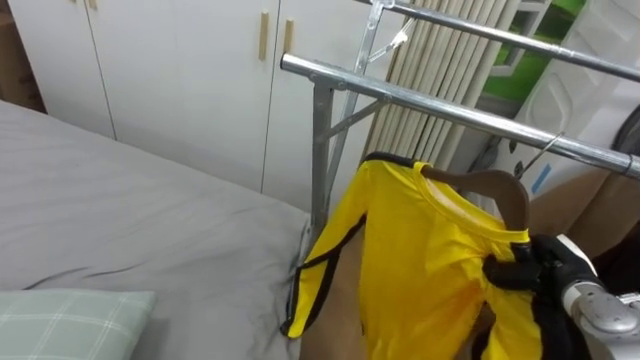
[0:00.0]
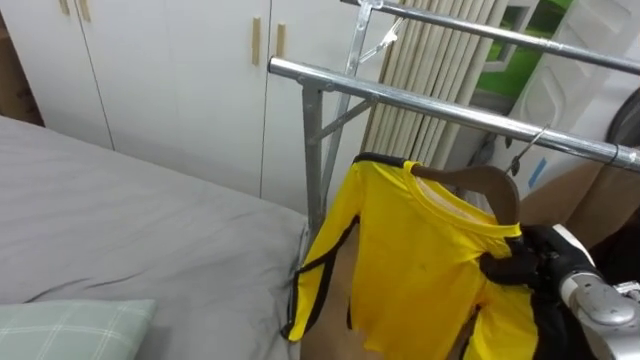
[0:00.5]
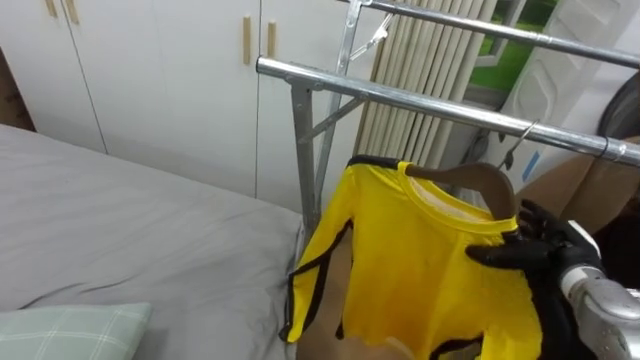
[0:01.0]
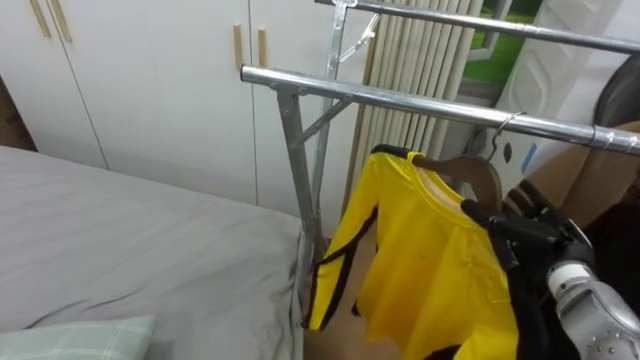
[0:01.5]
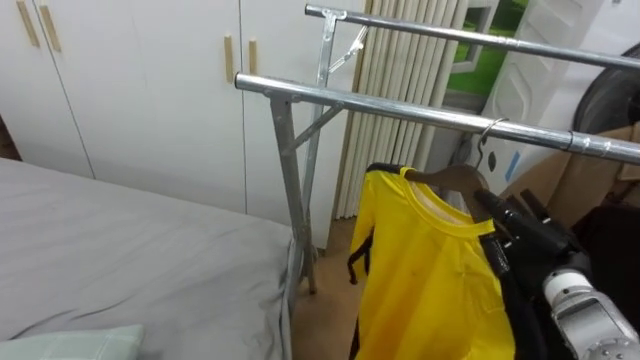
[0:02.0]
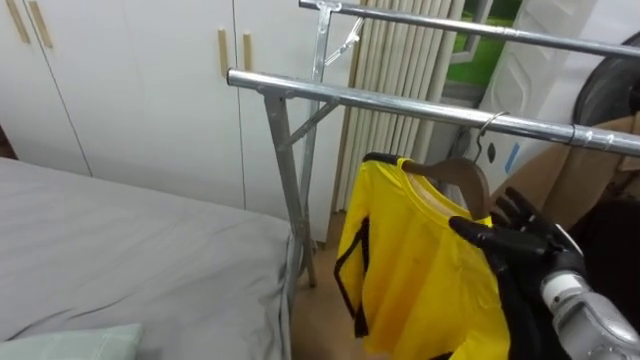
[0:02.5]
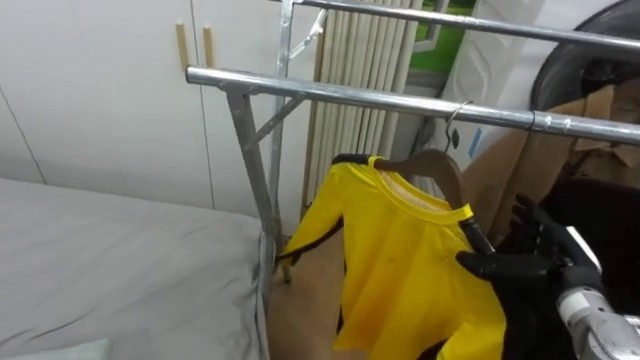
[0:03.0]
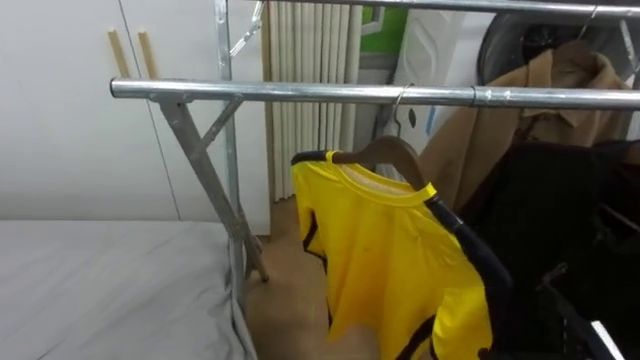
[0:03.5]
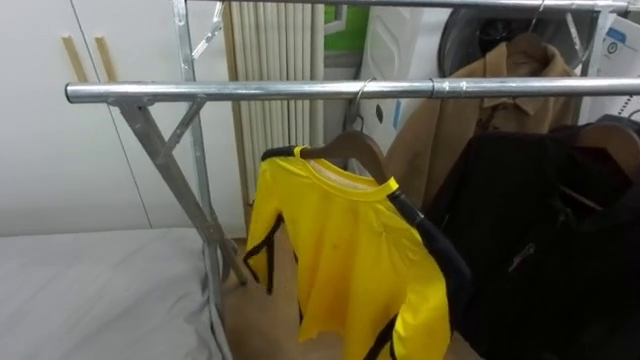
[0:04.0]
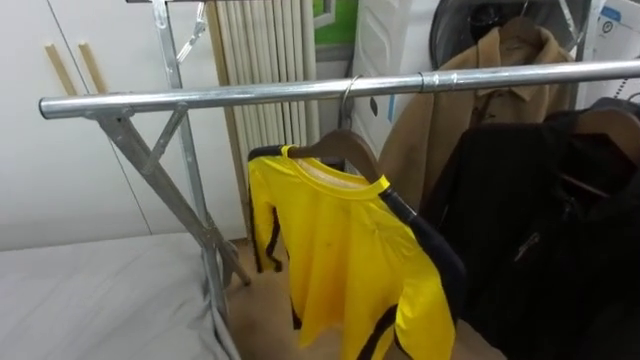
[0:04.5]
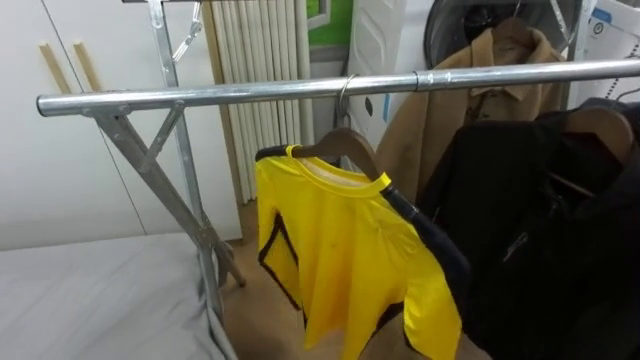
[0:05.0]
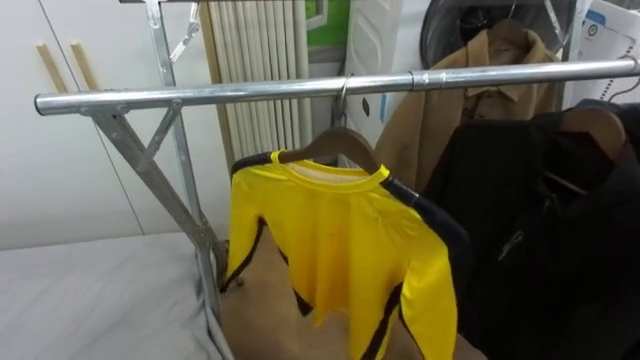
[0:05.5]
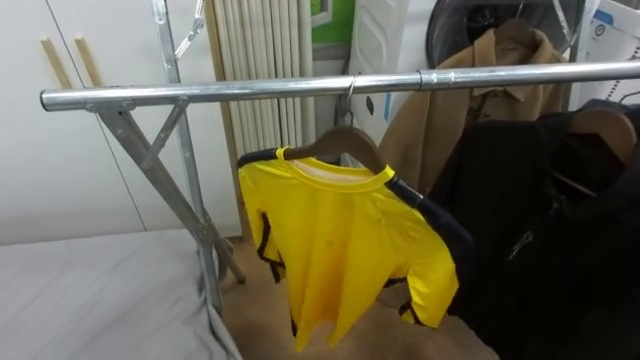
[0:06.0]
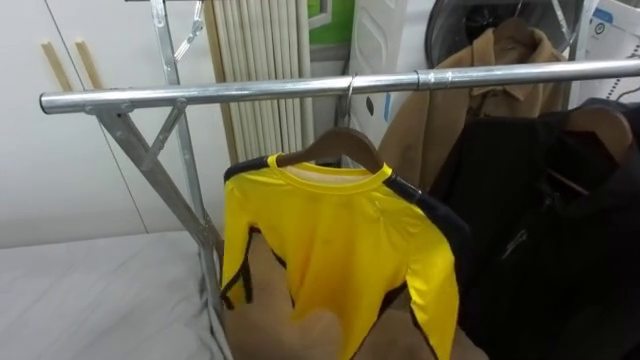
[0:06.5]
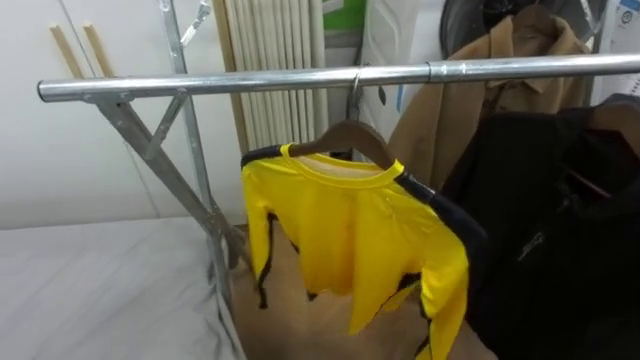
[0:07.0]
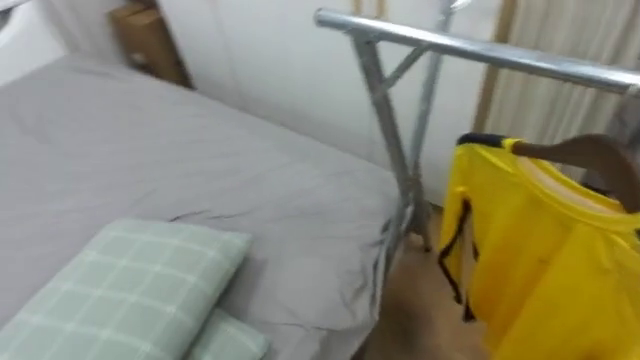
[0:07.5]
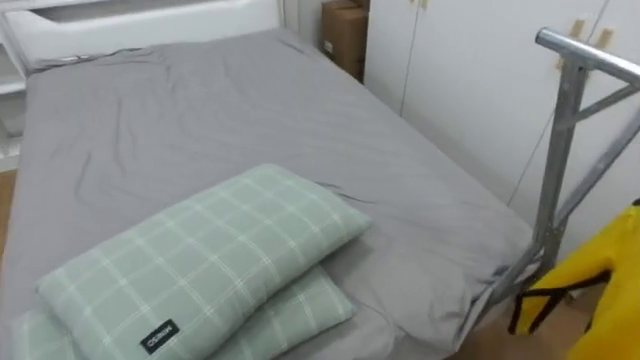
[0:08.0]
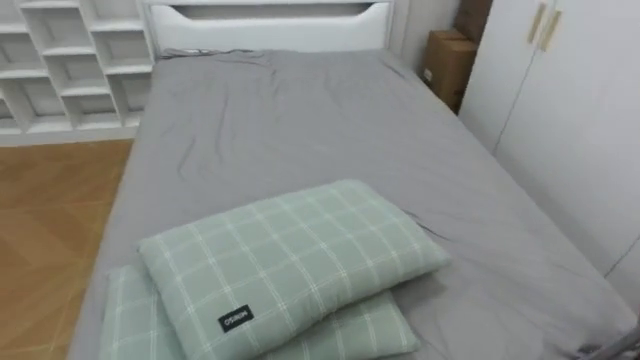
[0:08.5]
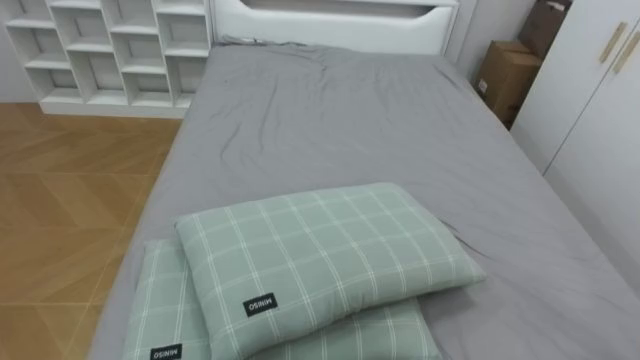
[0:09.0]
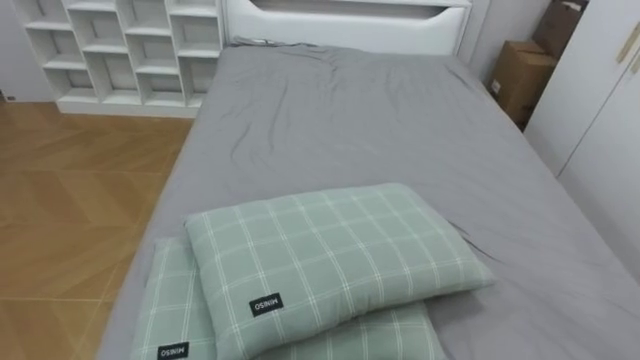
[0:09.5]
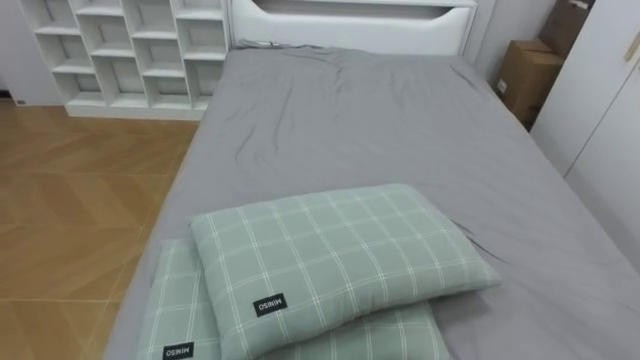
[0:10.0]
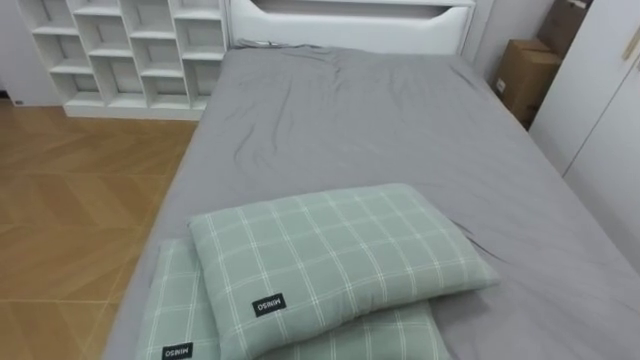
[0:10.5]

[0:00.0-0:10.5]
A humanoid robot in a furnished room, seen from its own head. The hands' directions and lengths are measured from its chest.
Task of the whole recording: Pick up the yellow shirt on the bed and hang it on the clothes rack on the right.
0:06.5 to 0:08.5: The robot faces approximately 85 degrees further to its left.

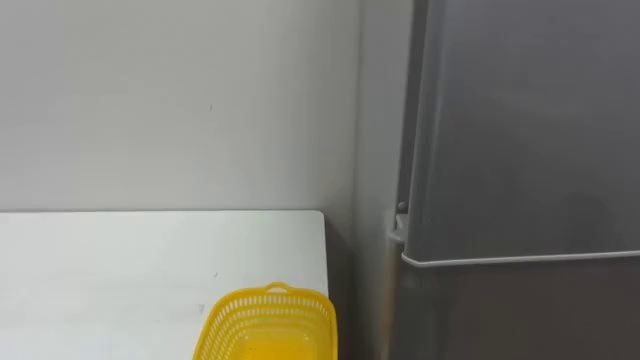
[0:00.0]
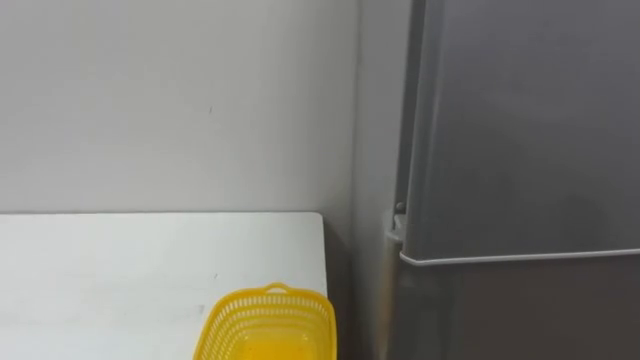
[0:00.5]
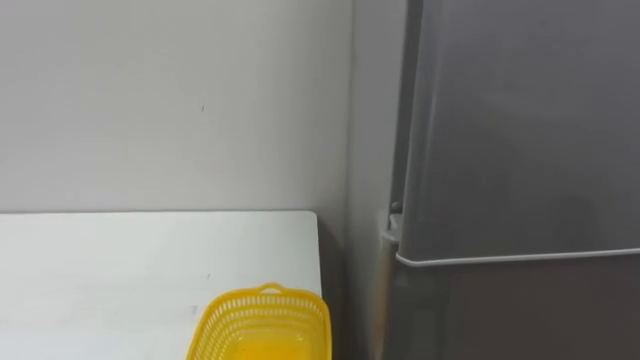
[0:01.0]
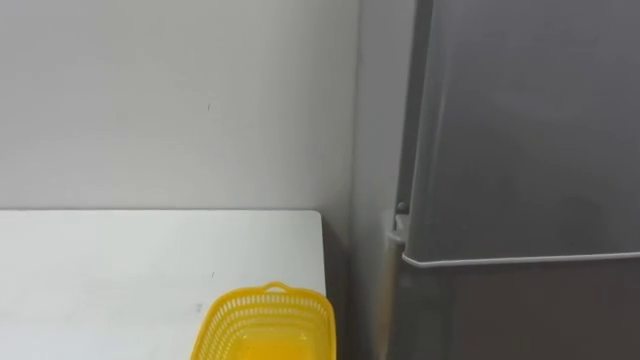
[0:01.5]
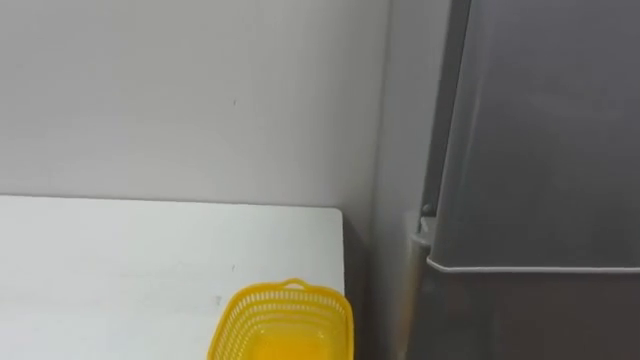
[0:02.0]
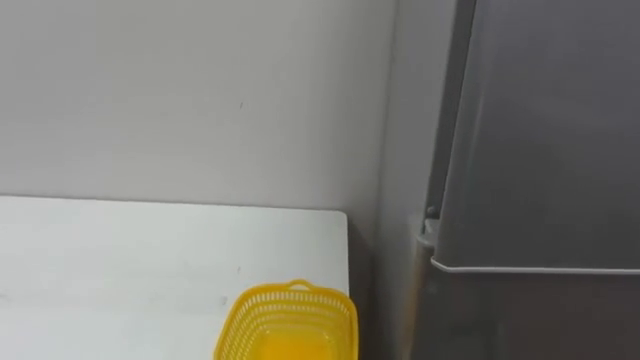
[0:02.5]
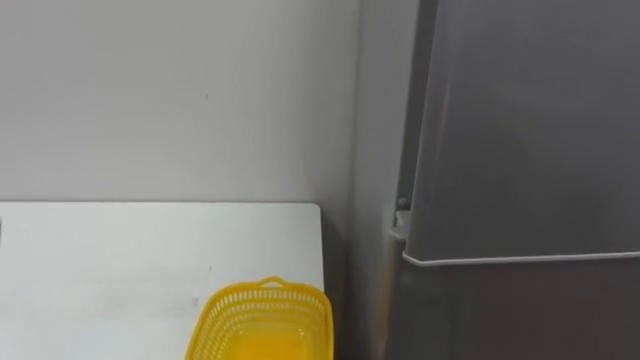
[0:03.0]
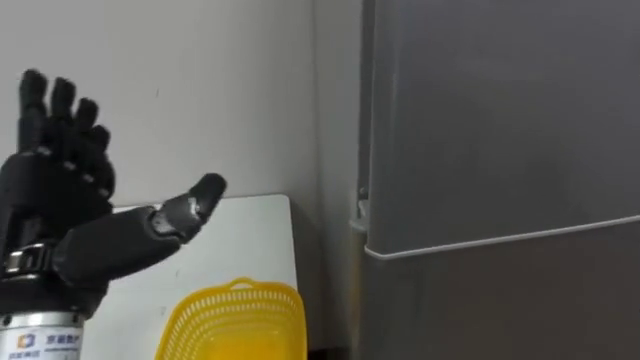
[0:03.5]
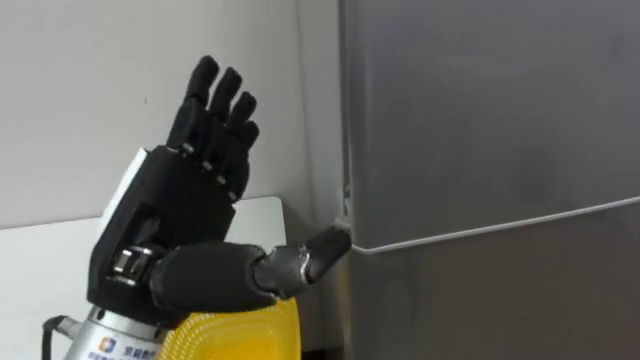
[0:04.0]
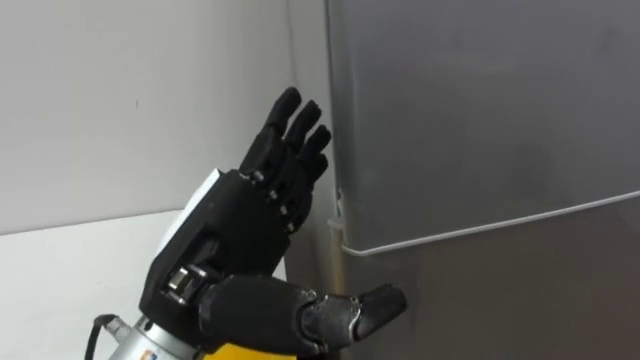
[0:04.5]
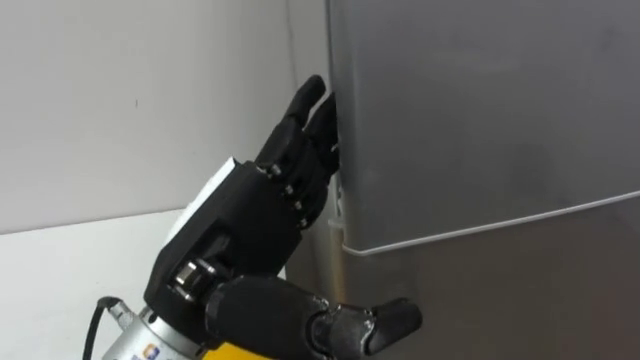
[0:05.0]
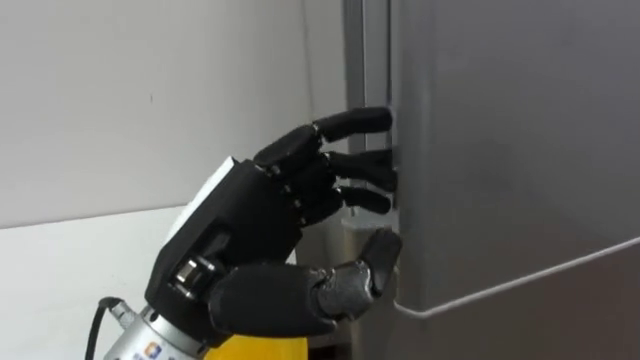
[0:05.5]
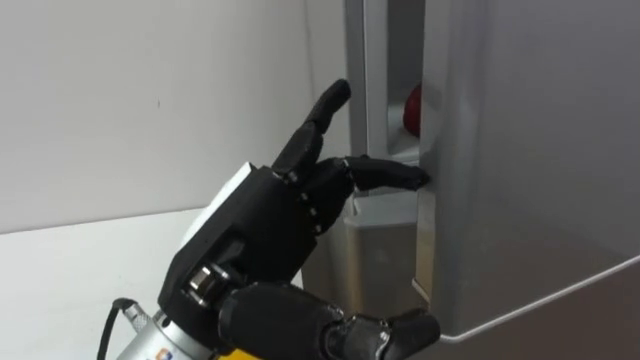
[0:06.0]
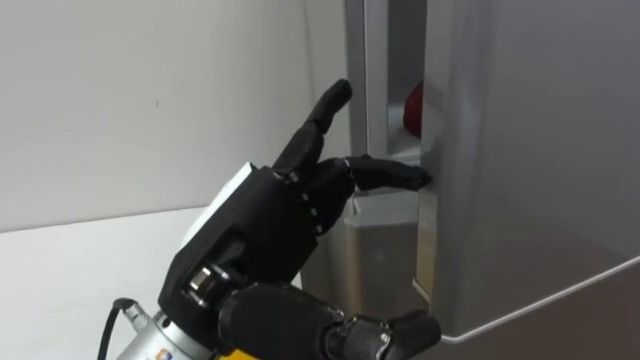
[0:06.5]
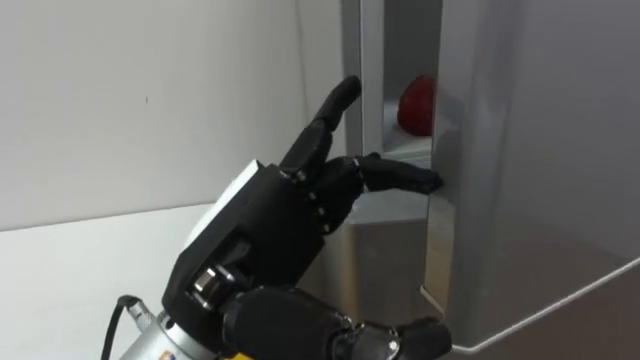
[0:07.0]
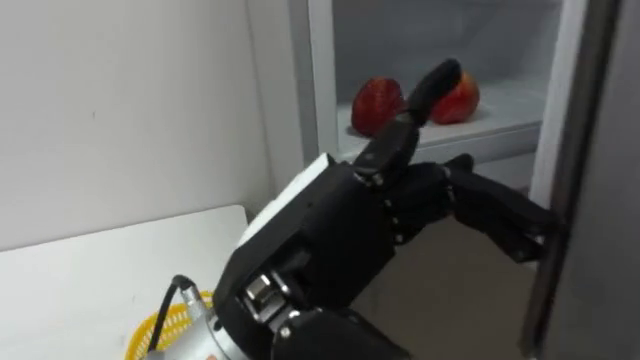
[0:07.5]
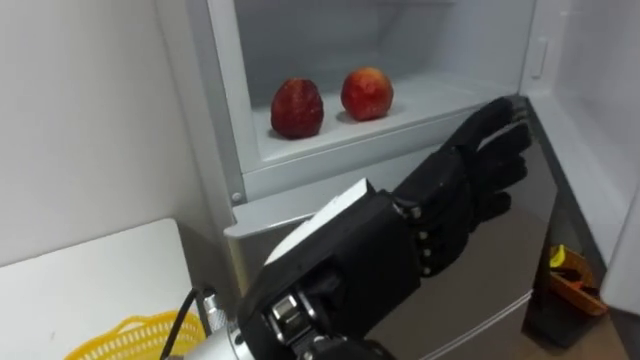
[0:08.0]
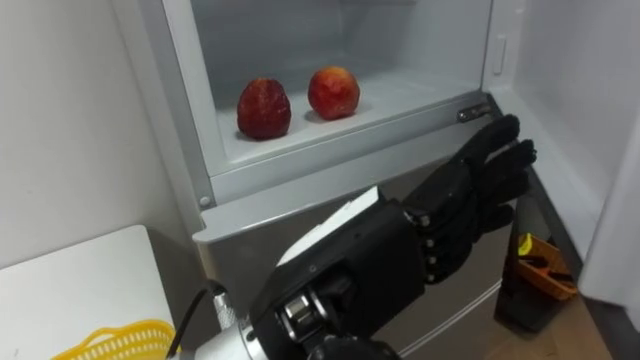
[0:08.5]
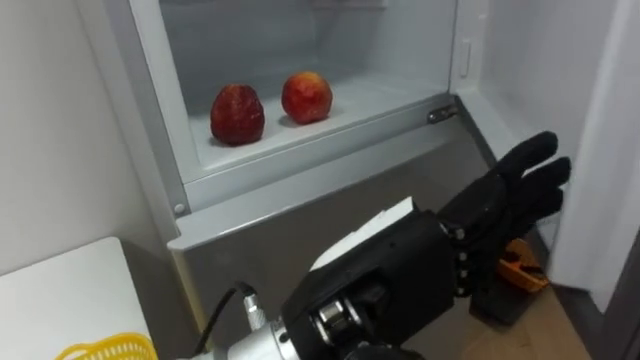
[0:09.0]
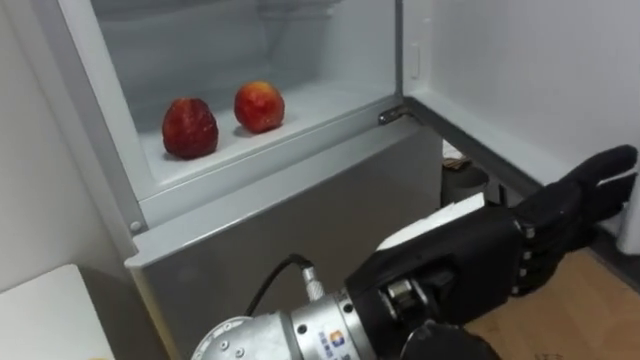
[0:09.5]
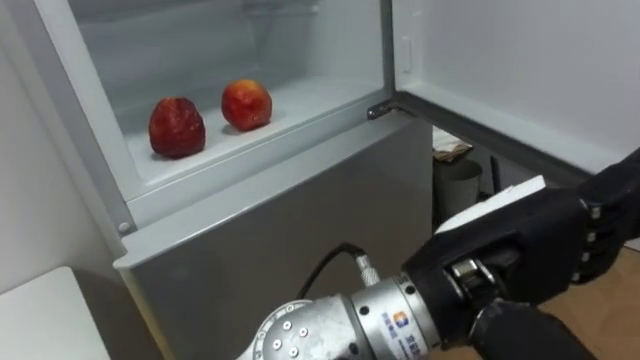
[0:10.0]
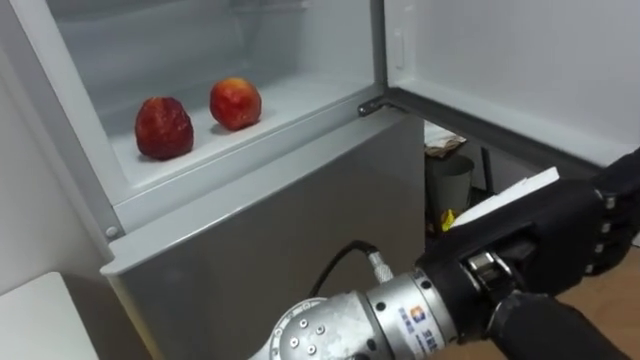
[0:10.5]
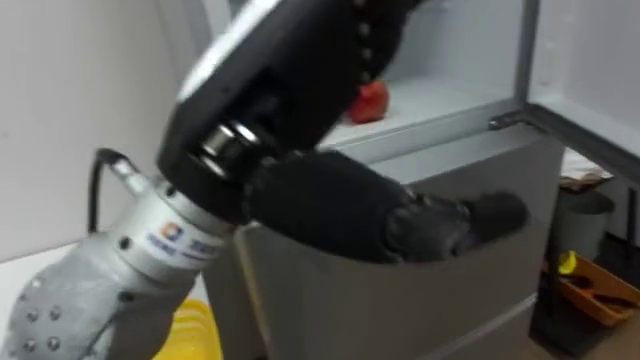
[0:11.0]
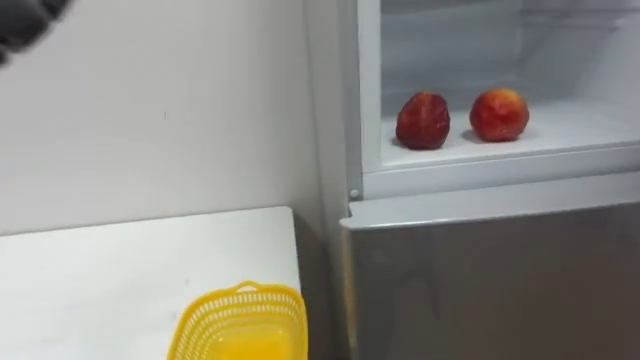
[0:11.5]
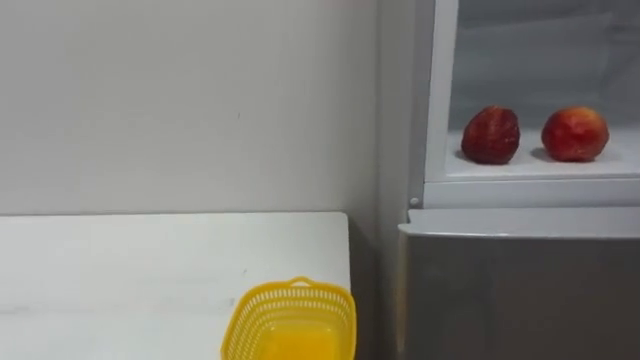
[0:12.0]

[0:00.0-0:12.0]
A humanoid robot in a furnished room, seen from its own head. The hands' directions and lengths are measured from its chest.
Task of the whole recording: Open the refrigerator door, take out the apple and the pomegranate, place them in the fruit basket on the left, and close the refrigerator door.
0:04.0 to 0:06.0: The left hand shifts approximately 5 cm to the right, and closes and opens again.
0:06.0 to 0:08.0: The left hand shifts some 5 cm to the right.
0:08.0 to 0:10.0: The left hand is displaced to the right by some 10 cm.
